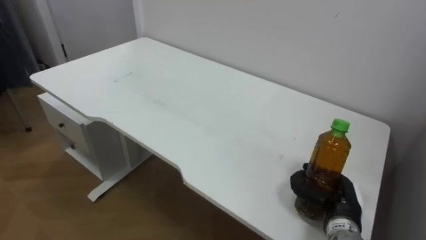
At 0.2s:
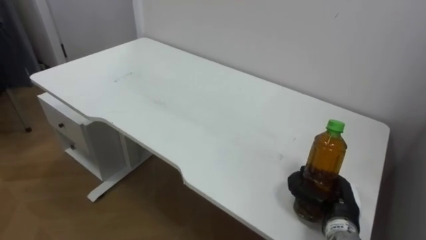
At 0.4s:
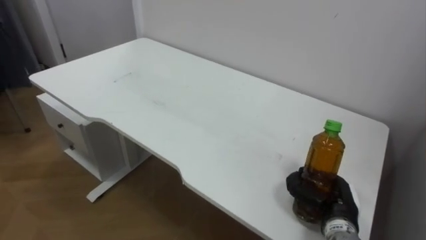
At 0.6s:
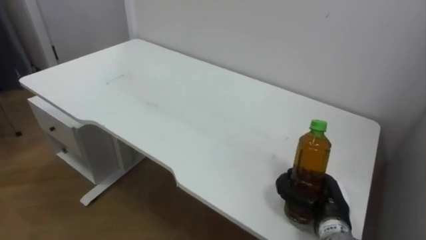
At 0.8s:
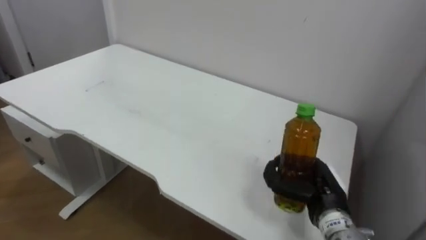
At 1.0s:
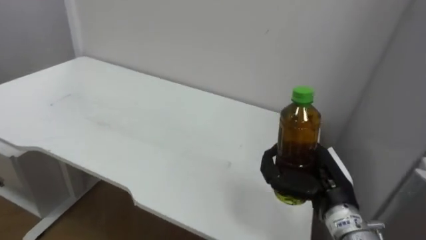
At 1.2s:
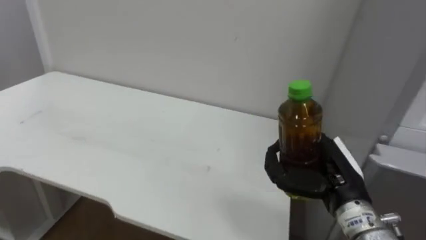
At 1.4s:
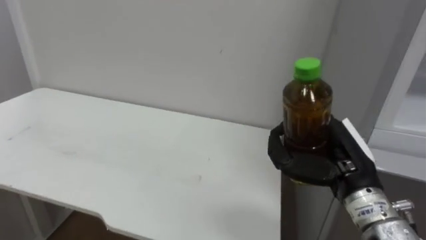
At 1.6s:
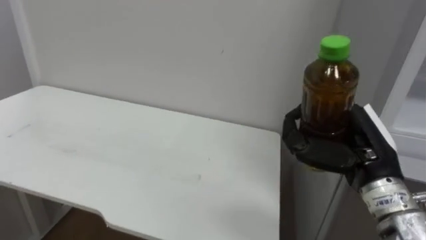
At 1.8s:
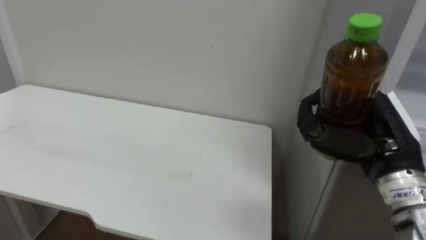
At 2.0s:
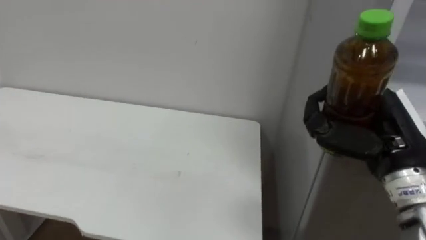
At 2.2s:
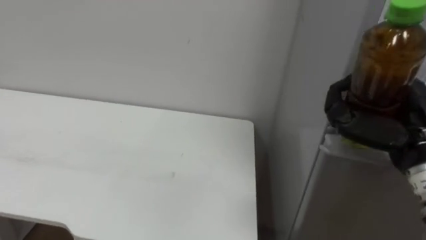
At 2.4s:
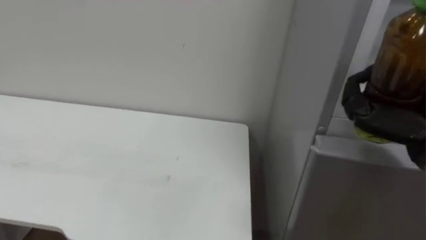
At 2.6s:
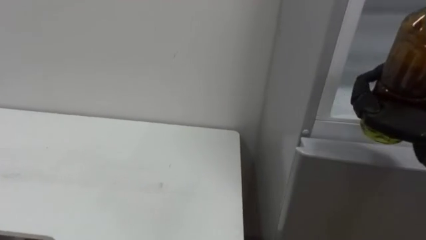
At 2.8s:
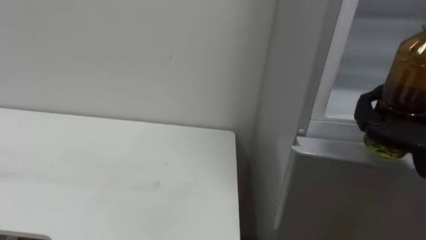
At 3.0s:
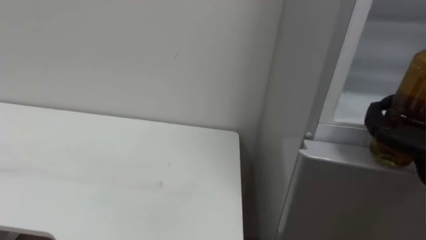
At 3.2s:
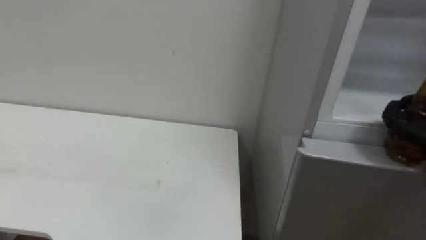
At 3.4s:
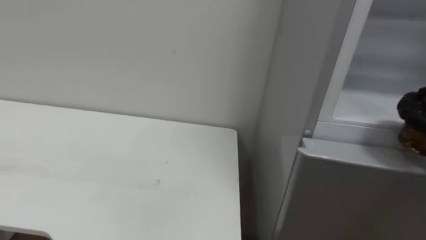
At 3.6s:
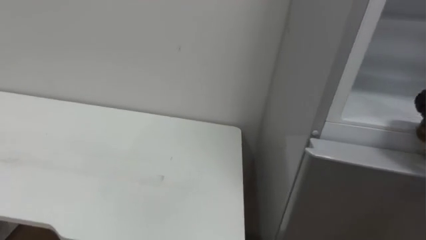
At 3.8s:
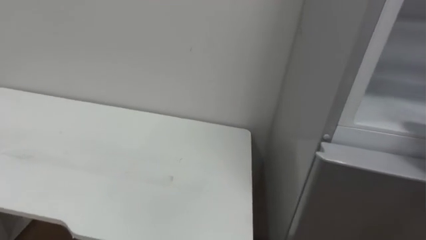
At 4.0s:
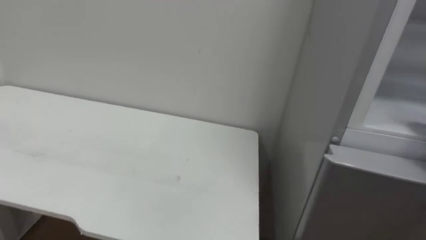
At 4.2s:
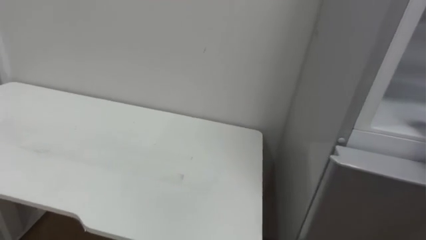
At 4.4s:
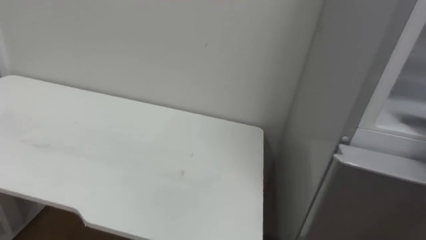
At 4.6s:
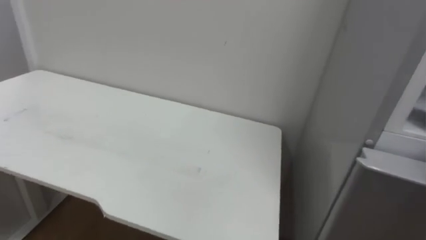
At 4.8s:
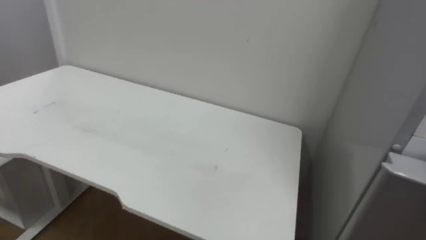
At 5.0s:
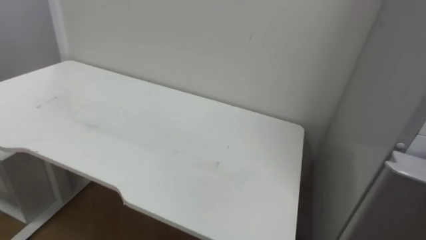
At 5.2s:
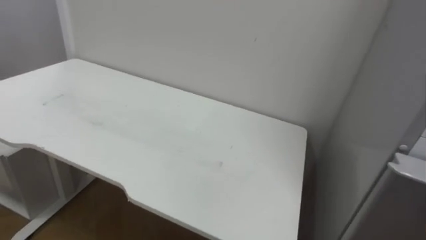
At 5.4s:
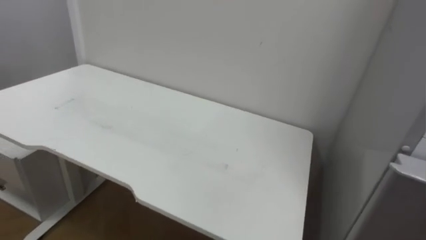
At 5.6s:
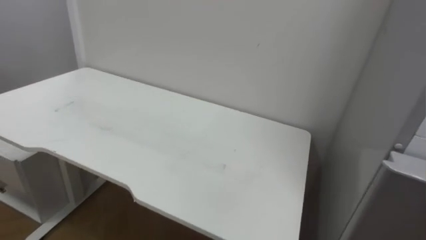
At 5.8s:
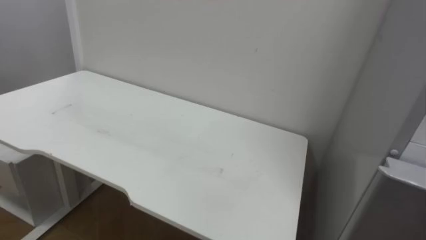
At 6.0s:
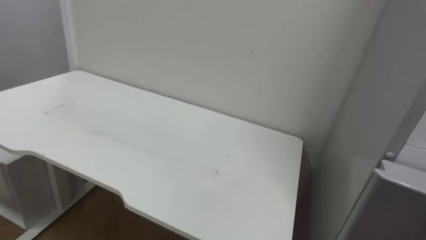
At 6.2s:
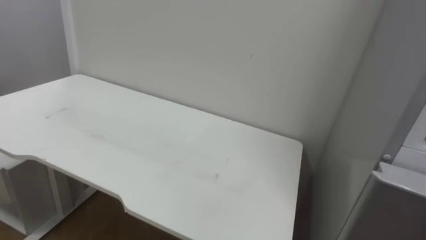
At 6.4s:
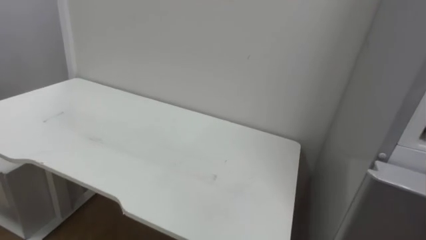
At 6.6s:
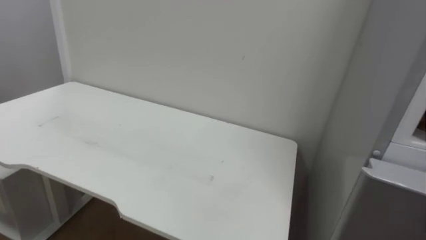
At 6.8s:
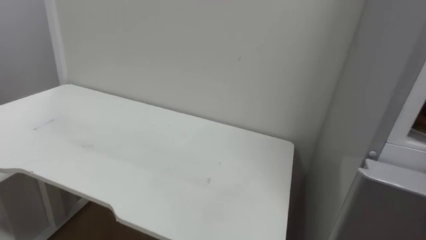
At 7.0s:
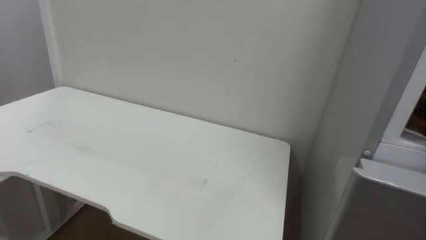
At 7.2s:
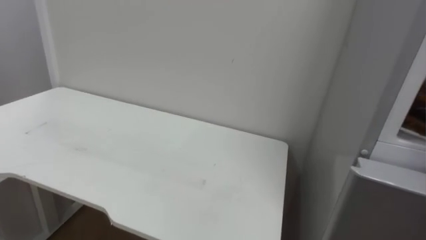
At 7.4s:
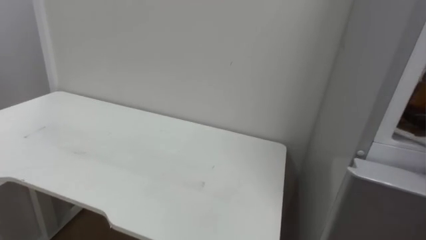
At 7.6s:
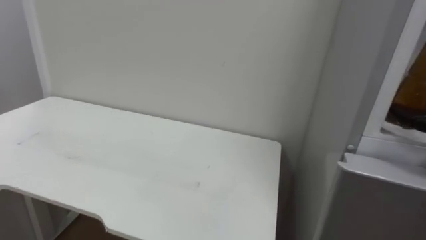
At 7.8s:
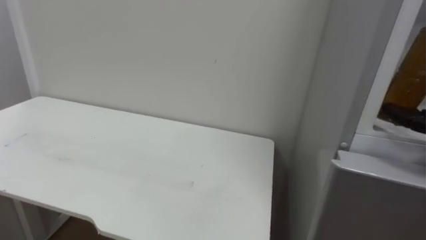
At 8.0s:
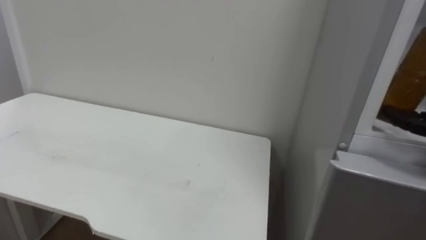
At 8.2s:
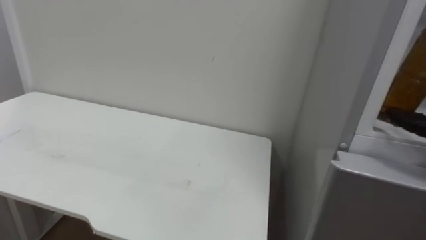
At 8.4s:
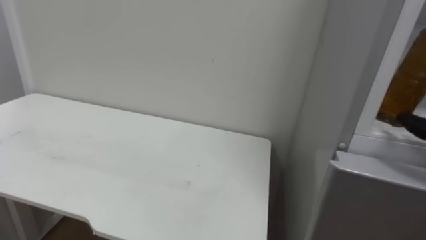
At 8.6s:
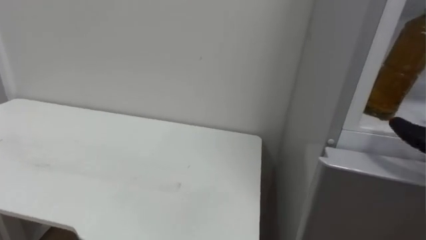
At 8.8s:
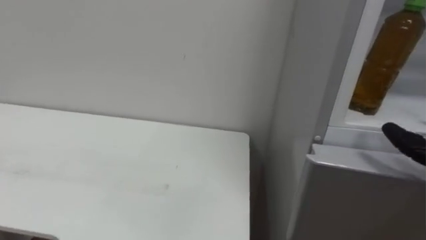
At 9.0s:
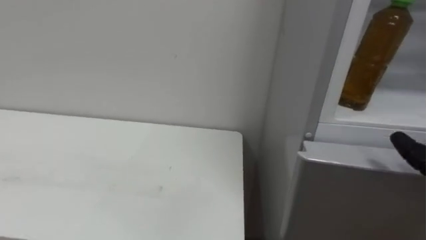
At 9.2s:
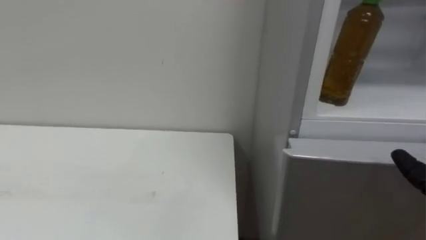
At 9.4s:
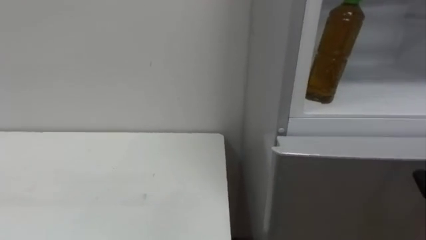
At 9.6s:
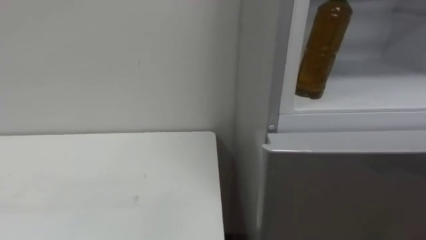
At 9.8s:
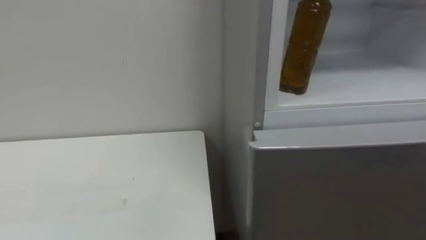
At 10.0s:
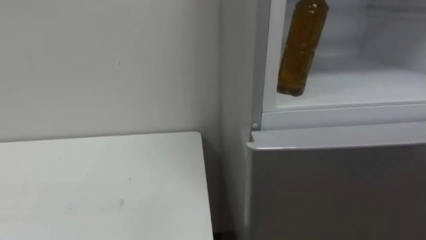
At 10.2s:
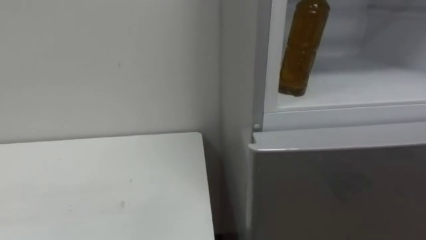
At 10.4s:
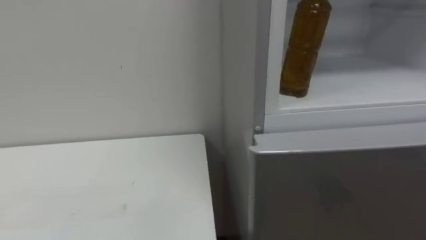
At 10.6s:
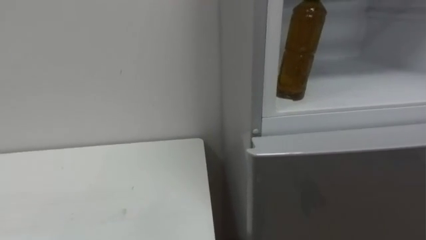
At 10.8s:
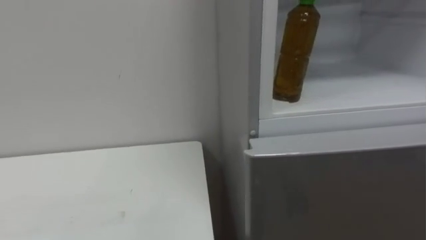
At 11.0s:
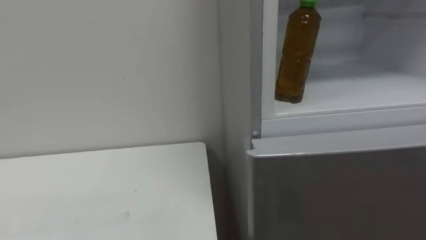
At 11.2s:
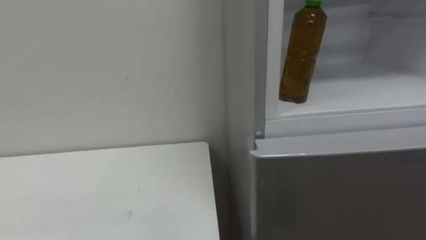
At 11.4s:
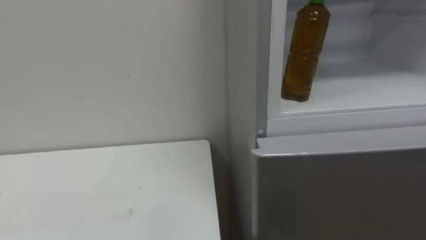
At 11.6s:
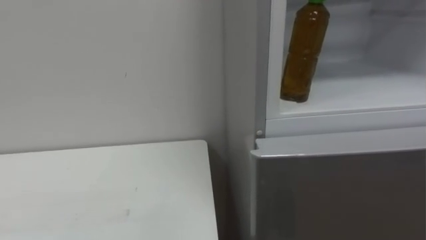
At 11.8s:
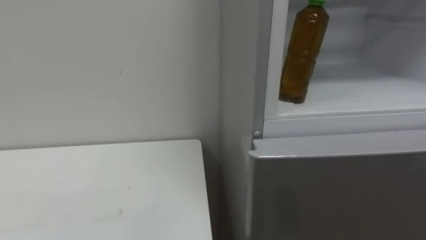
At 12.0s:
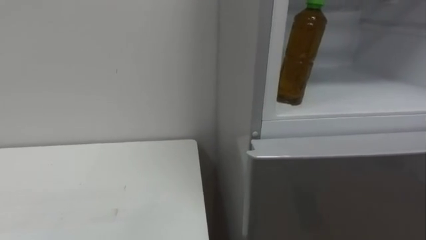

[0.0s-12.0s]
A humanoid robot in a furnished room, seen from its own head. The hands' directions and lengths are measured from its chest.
Task of the whole recording: Open the upper refrigerator door, put the drink from the table into the refrigerator, and then close the refrigerator door.
0.0s to 1.6s: The right hand travels upward by about 15 cm.

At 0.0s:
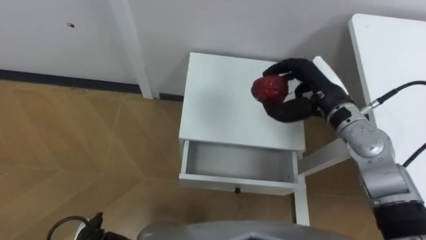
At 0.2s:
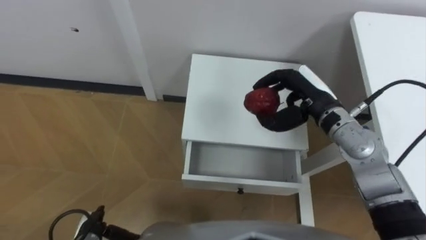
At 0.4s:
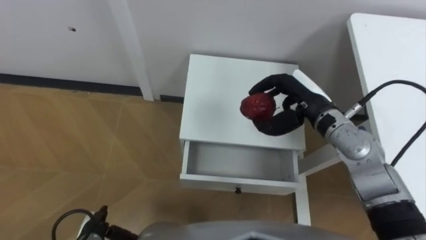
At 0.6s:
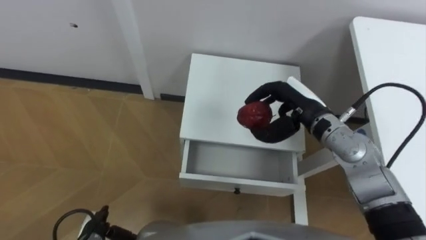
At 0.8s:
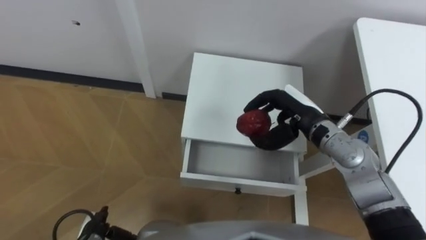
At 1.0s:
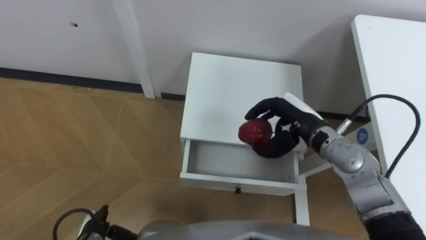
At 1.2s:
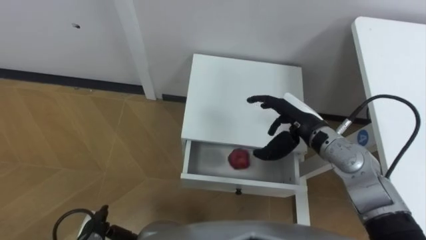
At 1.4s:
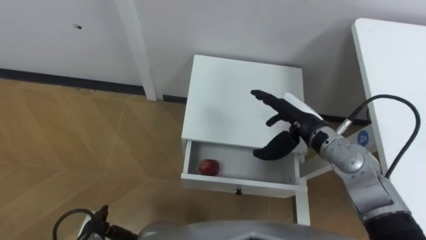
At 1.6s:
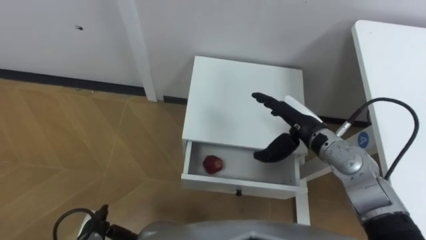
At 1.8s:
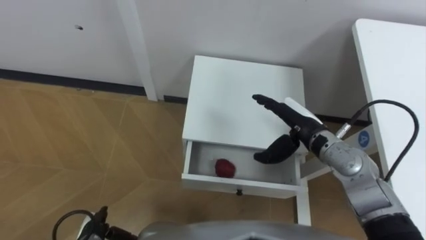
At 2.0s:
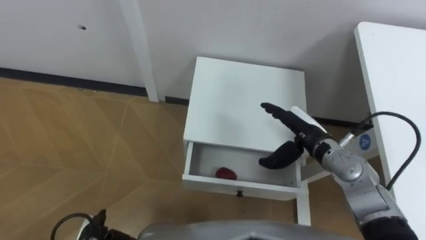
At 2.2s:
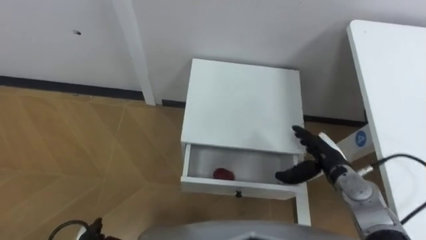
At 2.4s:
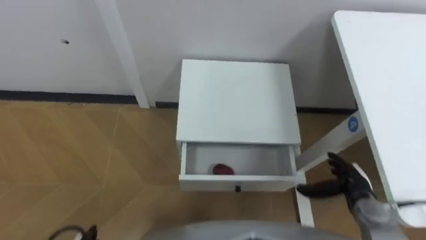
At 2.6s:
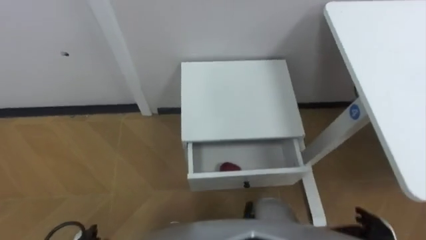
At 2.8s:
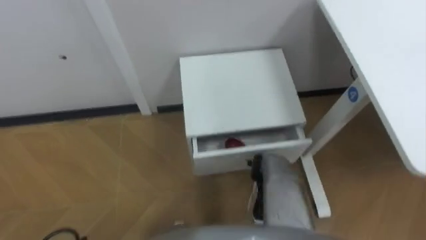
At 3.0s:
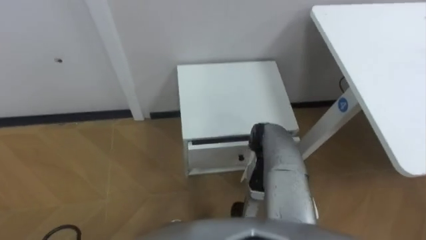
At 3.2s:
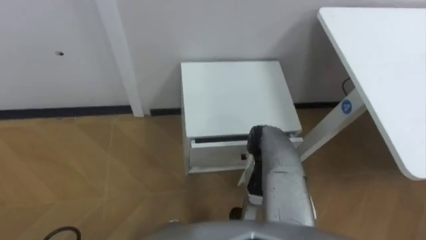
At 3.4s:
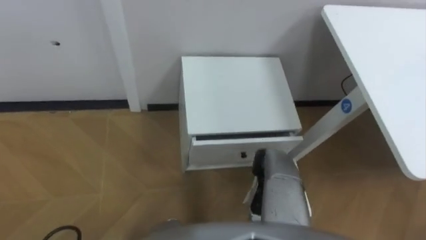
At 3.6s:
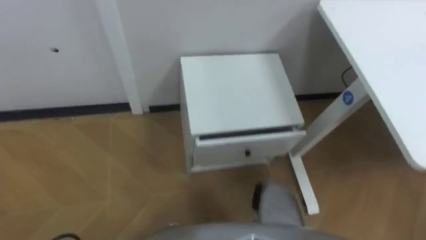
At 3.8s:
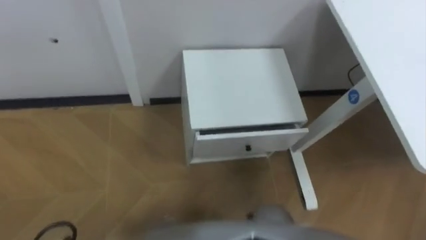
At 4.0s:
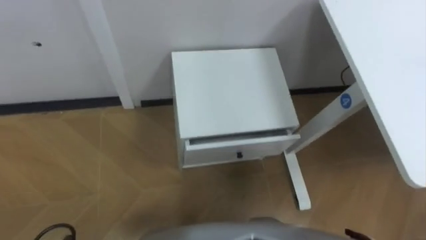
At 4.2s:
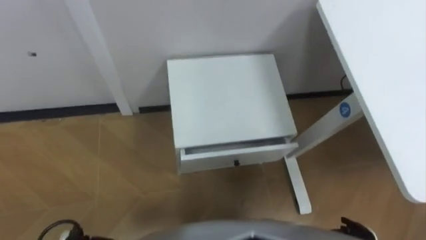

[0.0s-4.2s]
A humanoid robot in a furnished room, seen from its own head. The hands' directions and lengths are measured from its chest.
Task of the whole recording: Pick up the apple from the table, put it in the drawer, and close the drawer with leg.
0.0s to 1.4s: The right hand is displaced downward by roughly 5 cm, and opens.

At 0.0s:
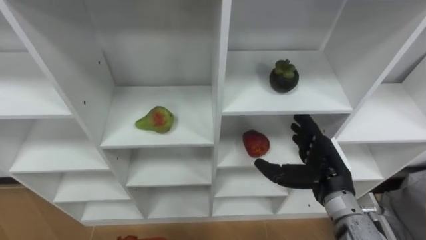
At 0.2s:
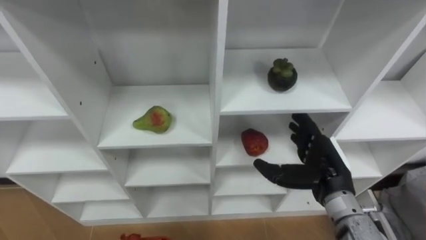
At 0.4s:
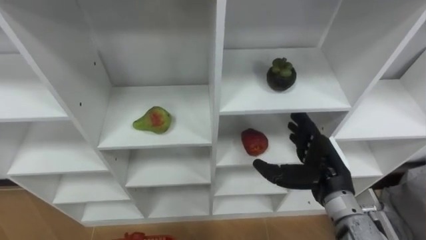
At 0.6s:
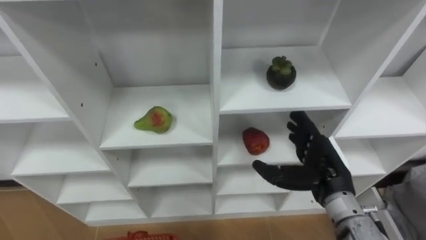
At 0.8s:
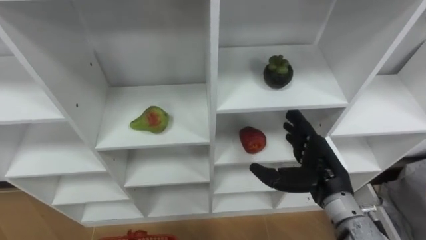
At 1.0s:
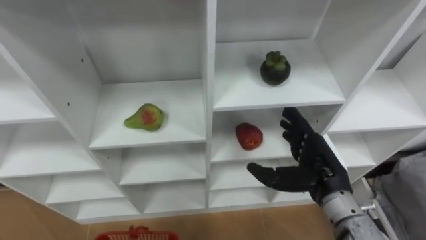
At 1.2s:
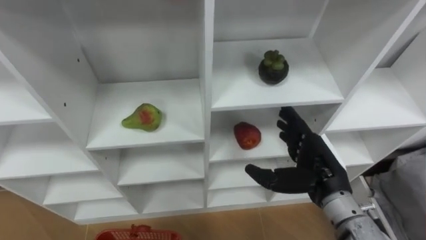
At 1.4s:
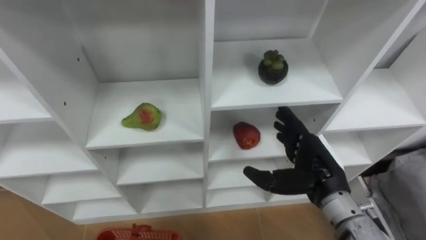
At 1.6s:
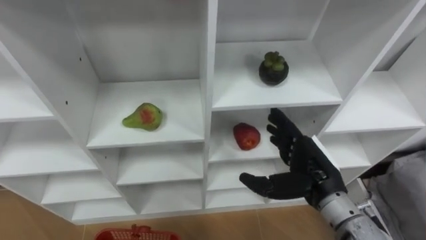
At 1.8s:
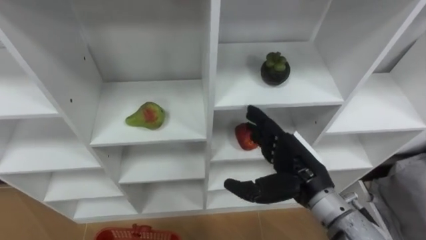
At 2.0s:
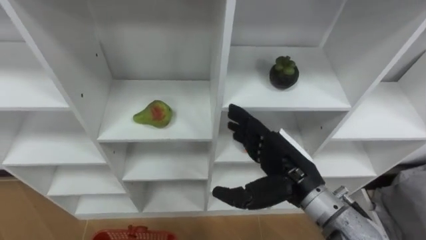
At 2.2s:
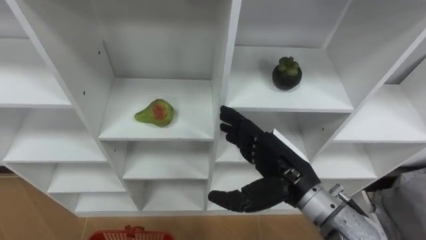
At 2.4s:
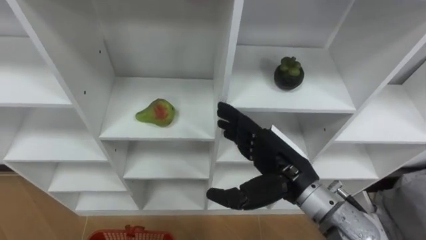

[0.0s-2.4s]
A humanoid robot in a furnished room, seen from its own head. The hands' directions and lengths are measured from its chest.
Task of the whole recording: Hold the basket and collect the fruits from 3 different cells of the closet into it.
1.2s to 2.4s: The right hand is displaced to the left by some 5 cm.
